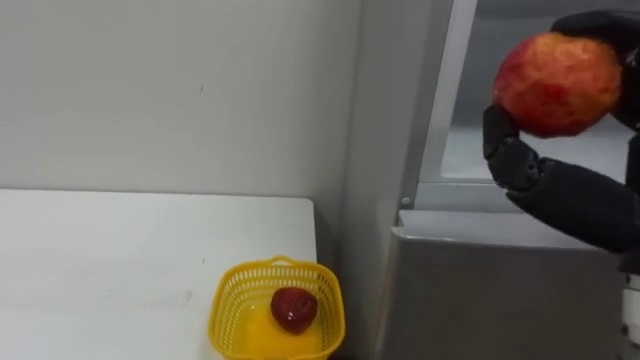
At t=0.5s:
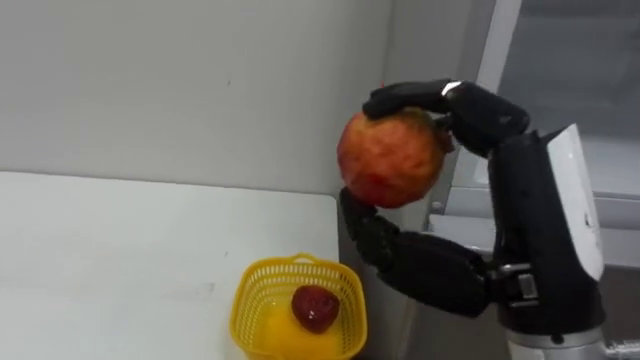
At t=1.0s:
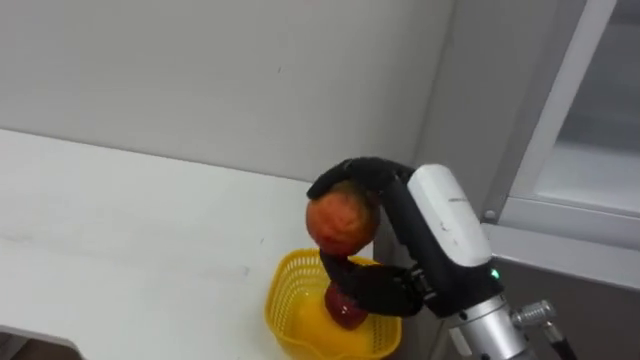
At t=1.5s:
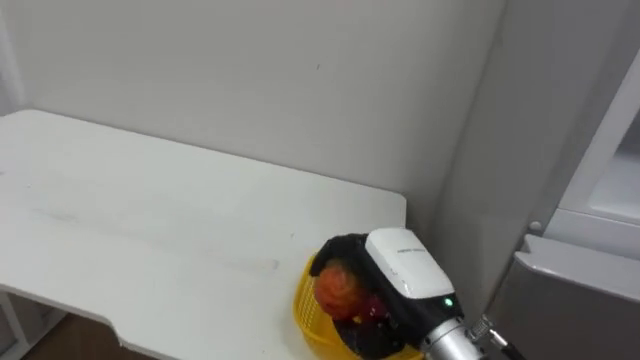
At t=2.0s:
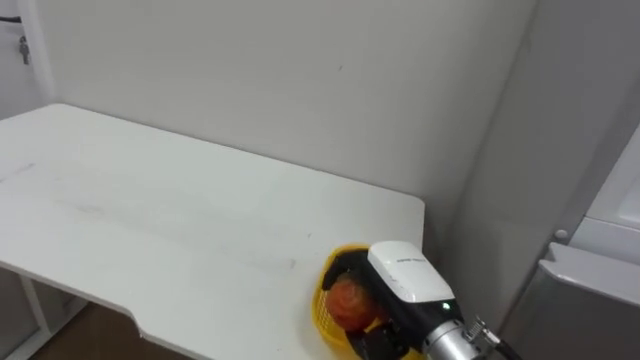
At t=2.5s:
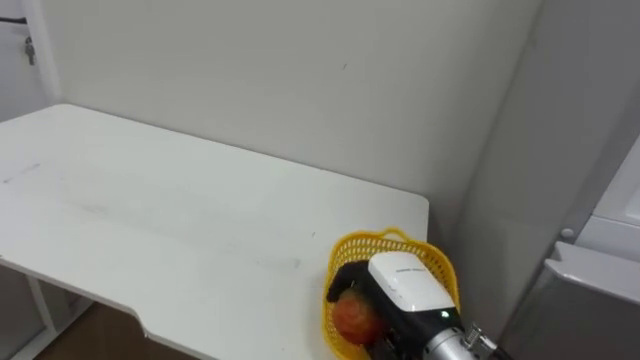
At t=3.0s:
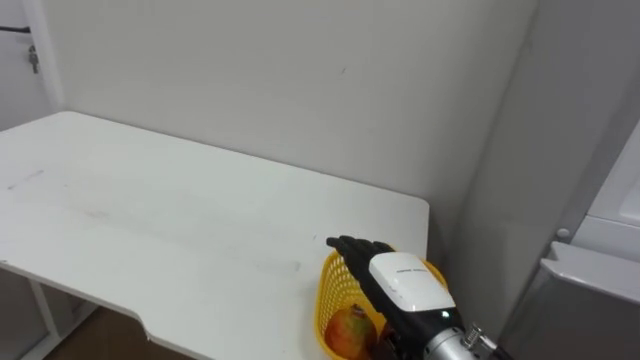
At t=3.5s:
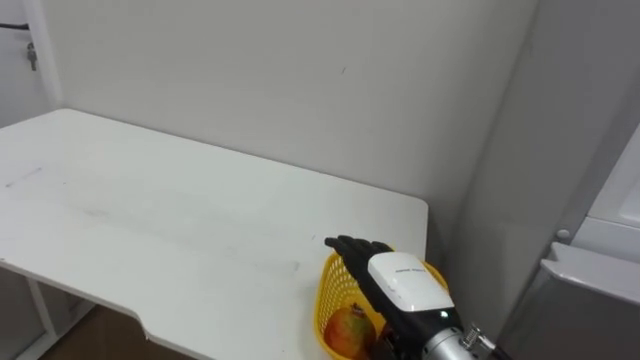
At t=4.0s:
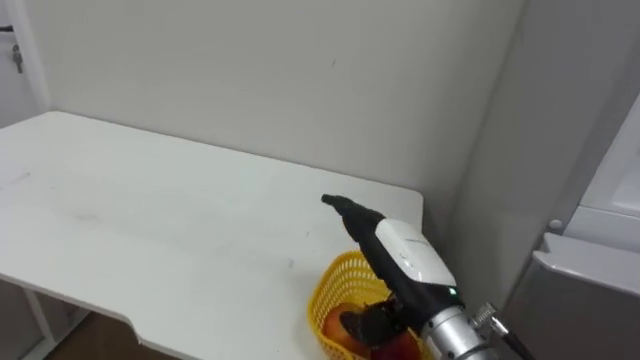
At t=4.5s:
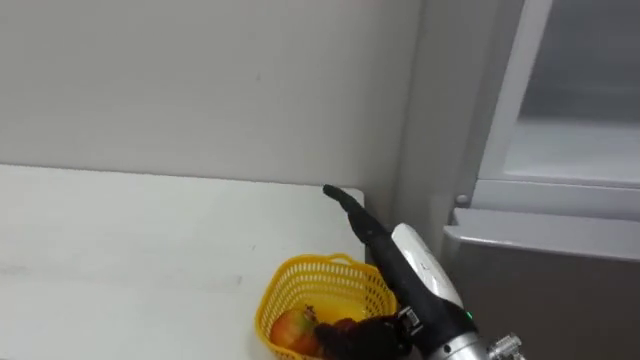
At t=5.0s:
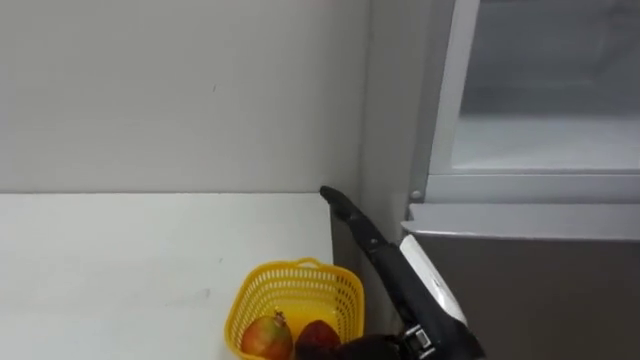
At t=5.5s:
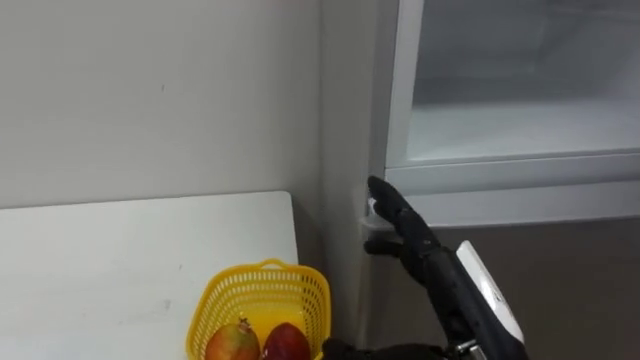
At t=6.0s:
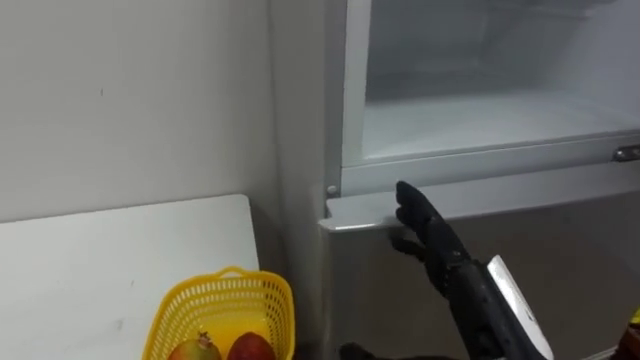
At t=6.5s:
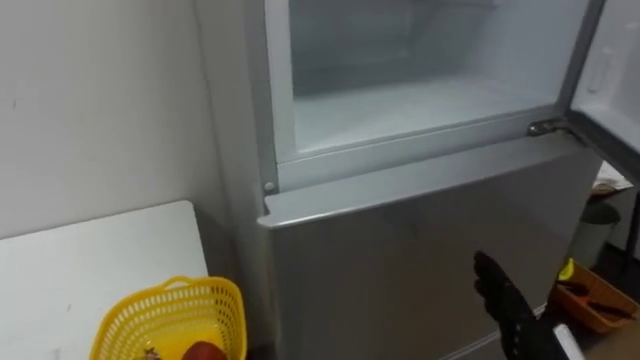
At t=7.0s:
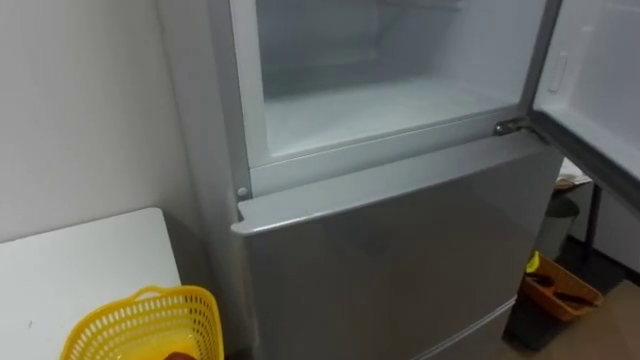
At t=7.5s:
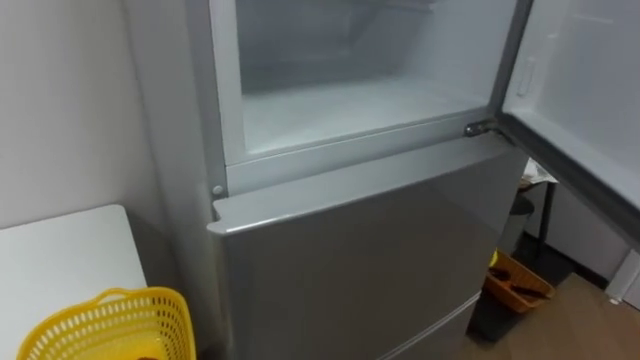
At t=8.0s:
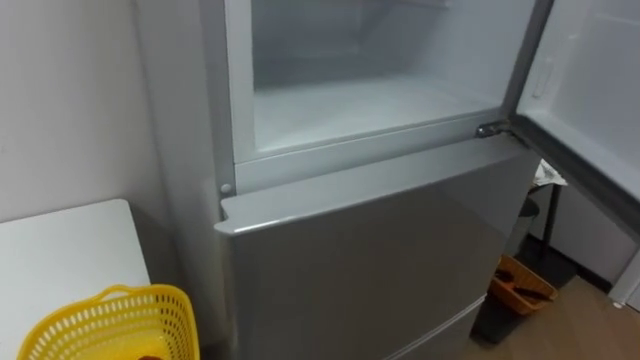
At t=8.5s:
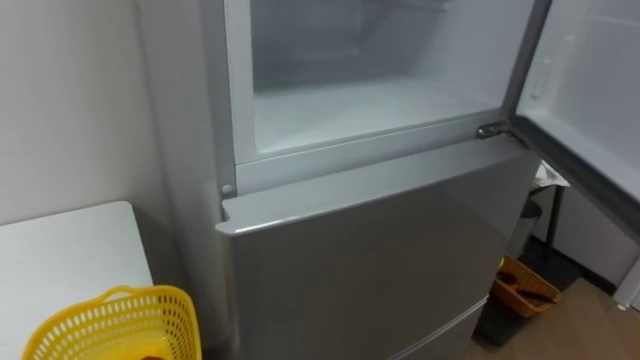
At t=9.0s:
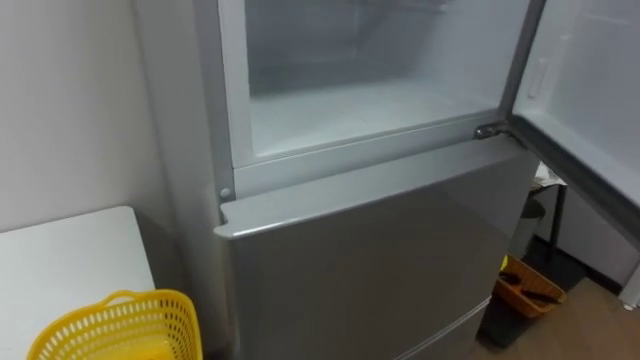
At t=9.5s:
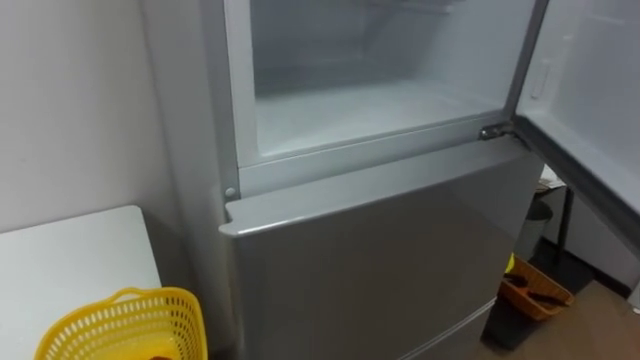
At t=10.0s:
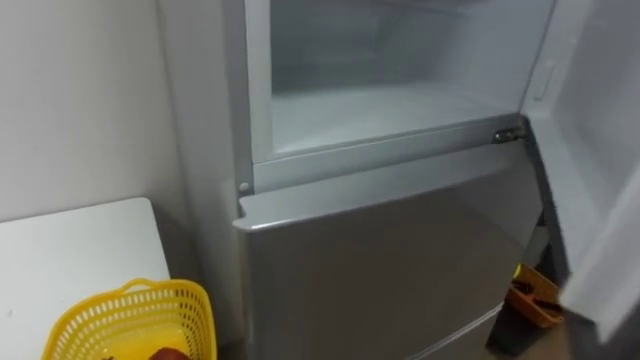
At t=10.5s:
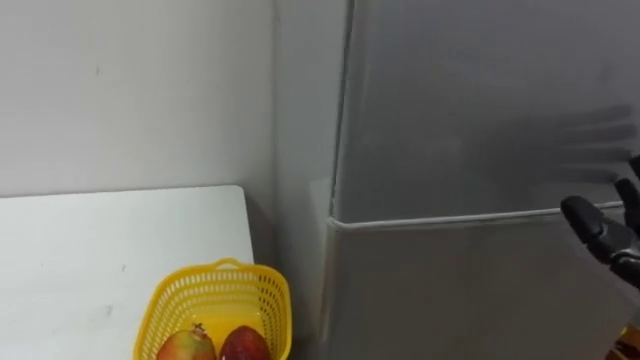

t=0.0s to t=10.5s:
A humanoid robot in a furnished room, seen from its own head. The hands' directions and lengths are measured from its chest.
Task of the whole recording: Open the refrigerator door, take out the apple and the pomegranate, place them in the fruit basket on the left, and close the refrigerator door.
t=2.0s to t=4.0s: The right hand opens.

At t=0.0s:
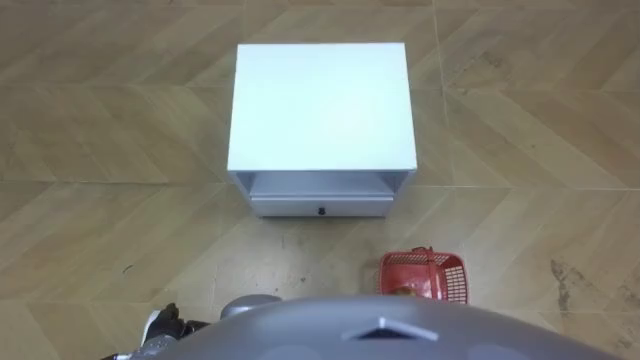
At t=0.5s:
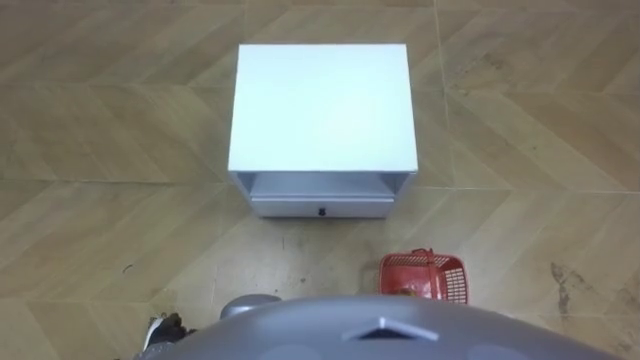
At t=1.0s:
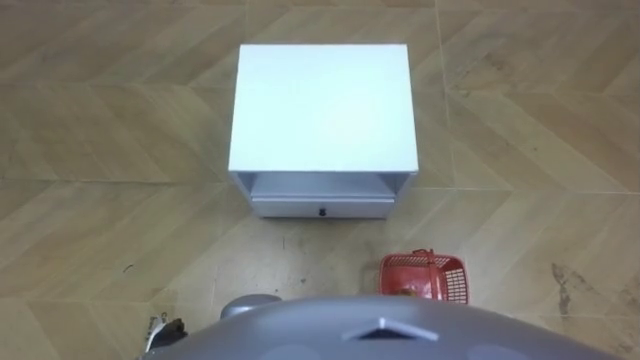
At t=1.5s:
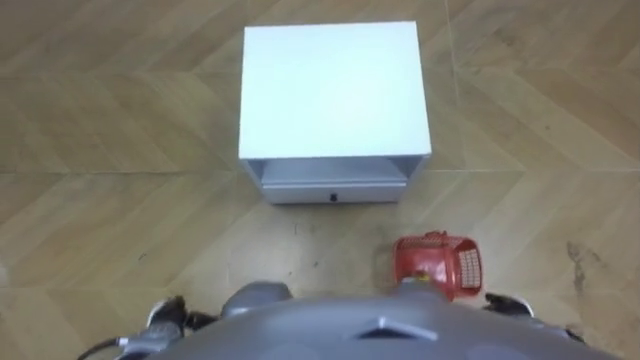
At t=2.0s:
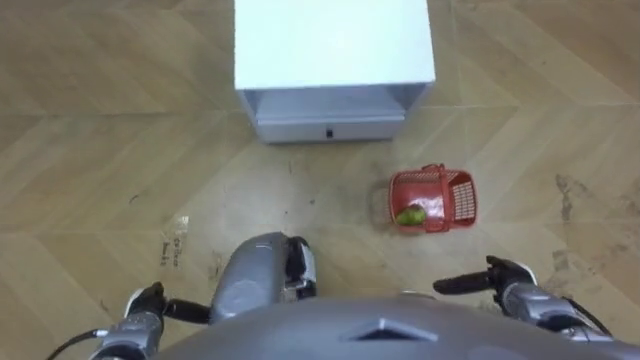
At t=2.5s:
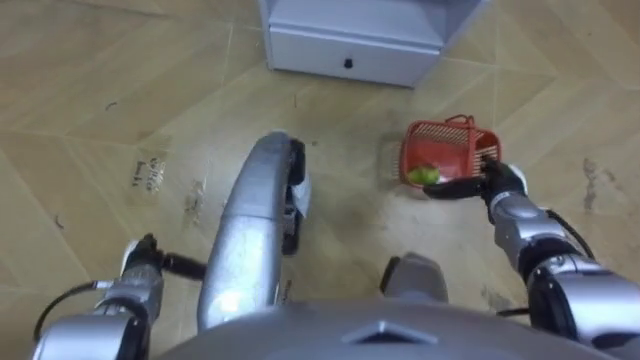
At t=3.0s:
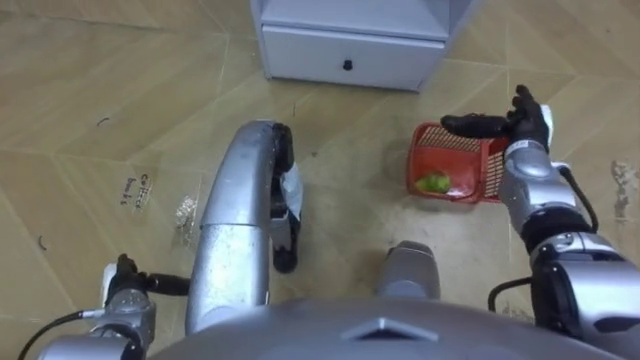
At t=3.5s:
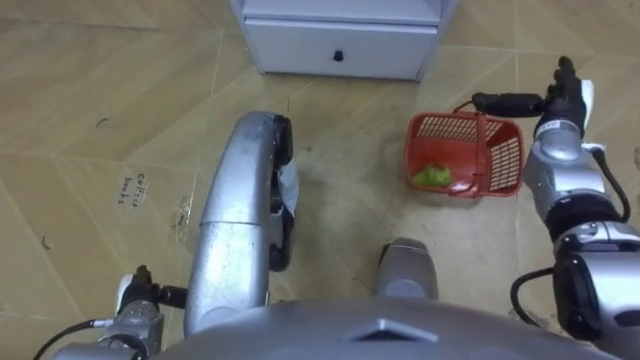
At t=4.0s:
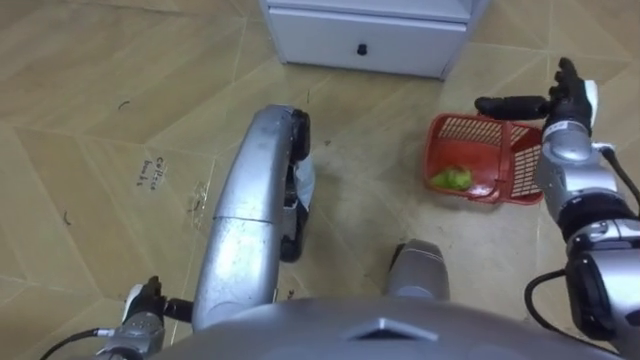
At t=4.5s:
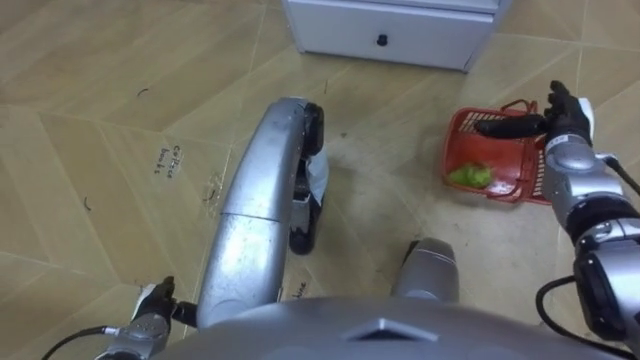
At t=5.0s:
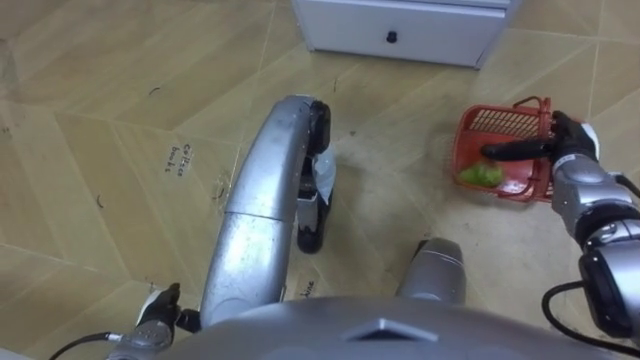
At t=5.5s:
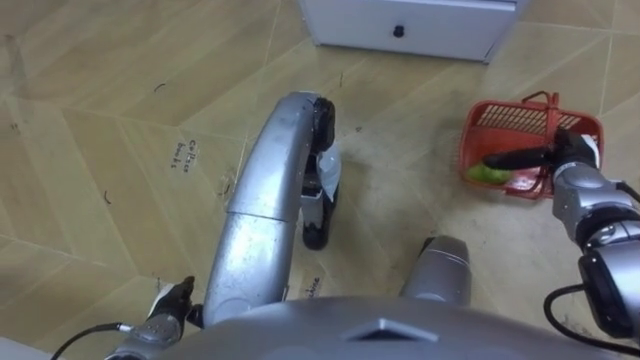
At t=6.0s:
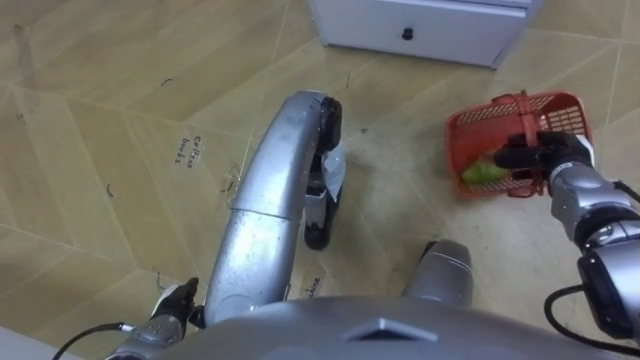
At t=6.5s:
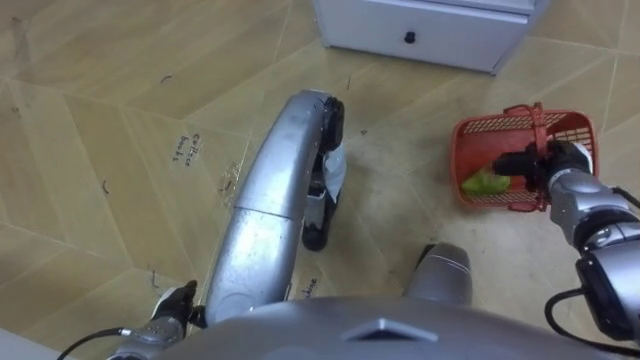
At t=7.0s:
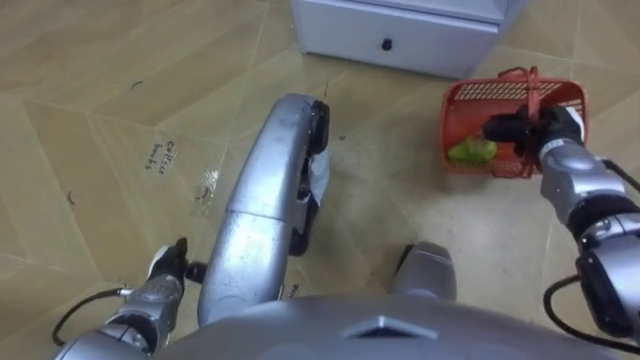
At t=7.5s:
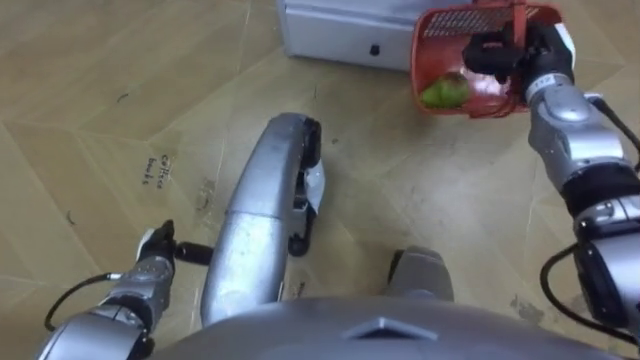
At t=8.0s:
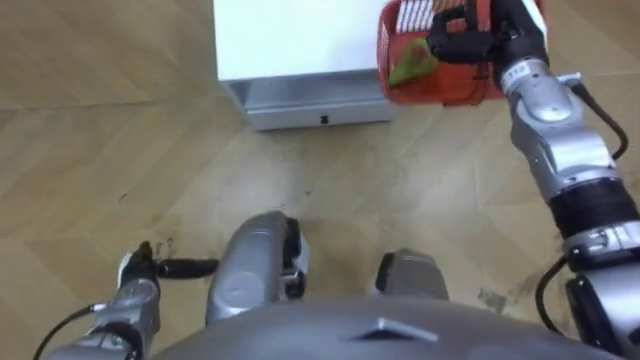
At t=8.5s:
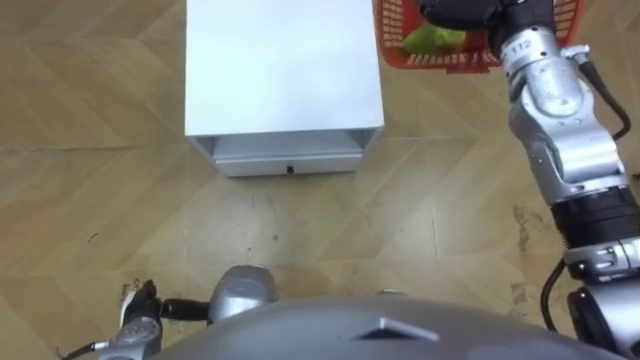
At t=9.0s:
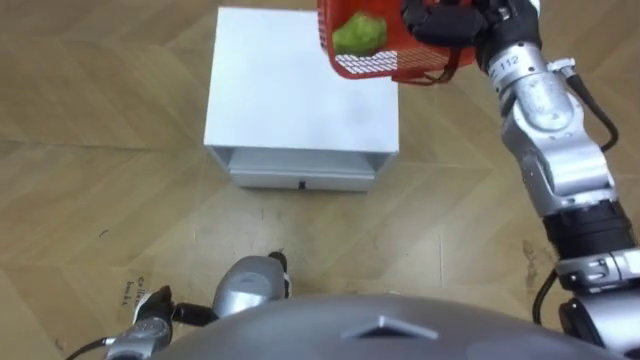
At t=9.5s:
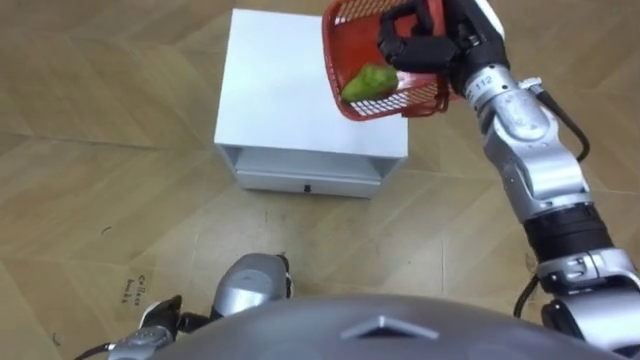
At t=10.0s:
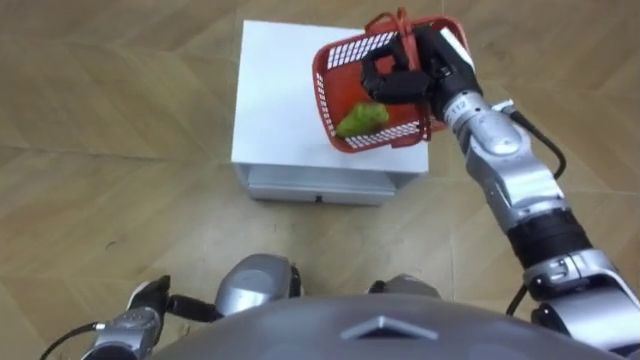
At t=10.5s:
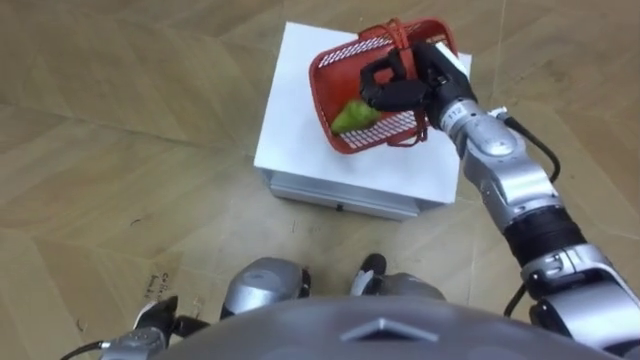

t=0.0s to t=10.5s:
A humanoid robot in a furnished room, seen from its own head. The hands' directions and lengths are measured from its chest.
Task of the whole recording: Pick up the fruit basket from the floor and place it on the cabinet.
t=2.0s to t=4.0s: The right hand moves forward and upward, approximately 25 cm.
t=4.0s to t=6.5s: The right hand goes about 10 cm backward and downward, and closes its fingers.
t=6.5s to t=8.5s: The left hand goes forward and returns, some 10 cm each way.
